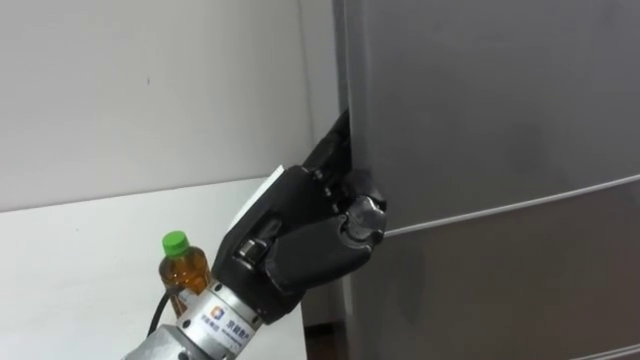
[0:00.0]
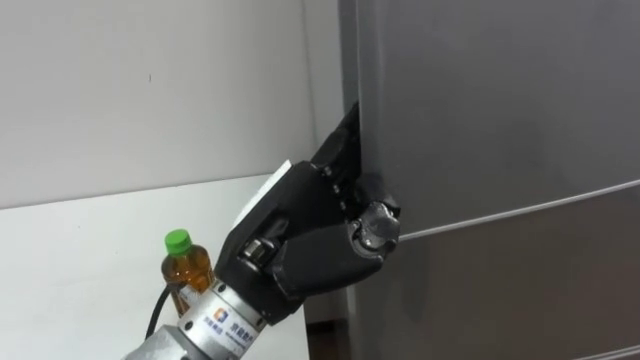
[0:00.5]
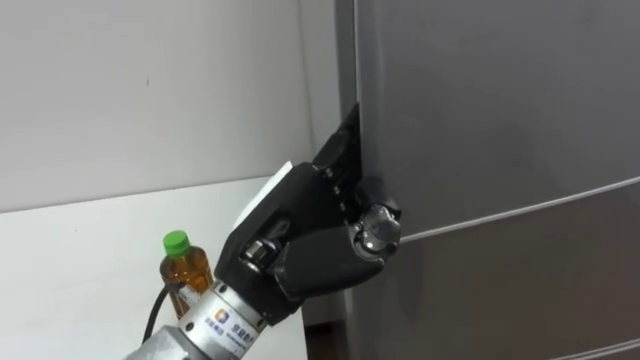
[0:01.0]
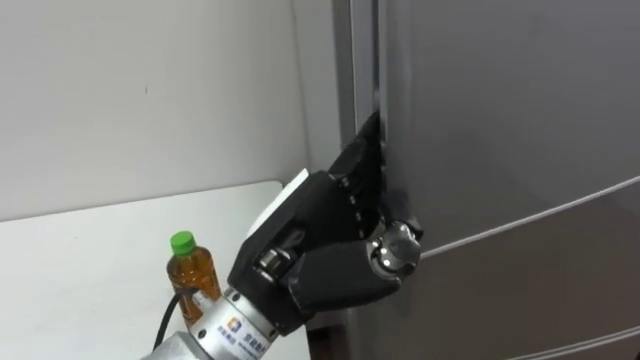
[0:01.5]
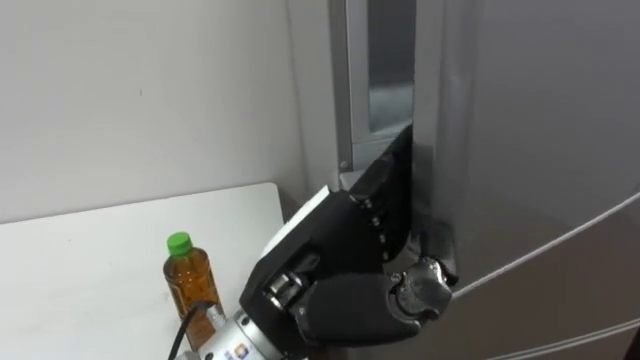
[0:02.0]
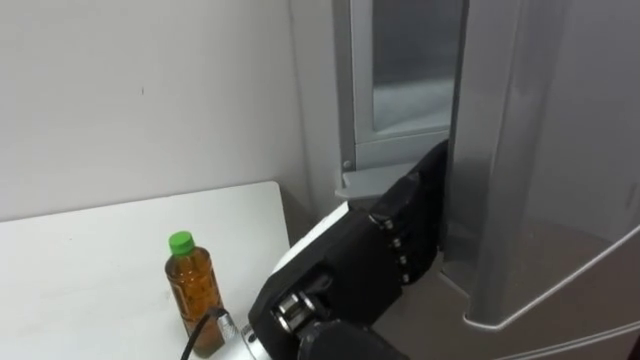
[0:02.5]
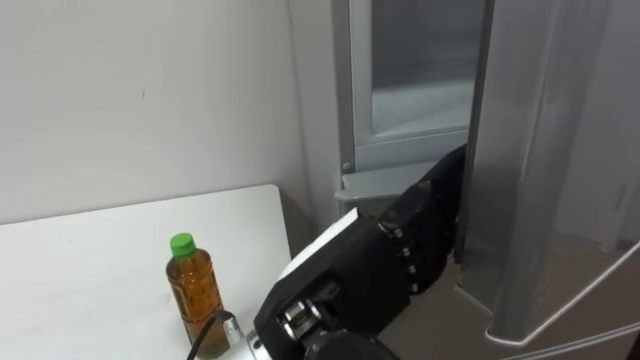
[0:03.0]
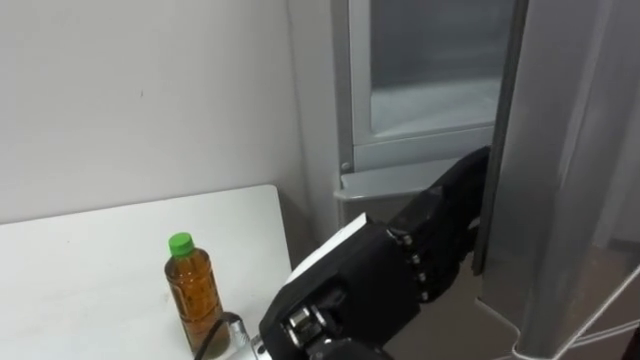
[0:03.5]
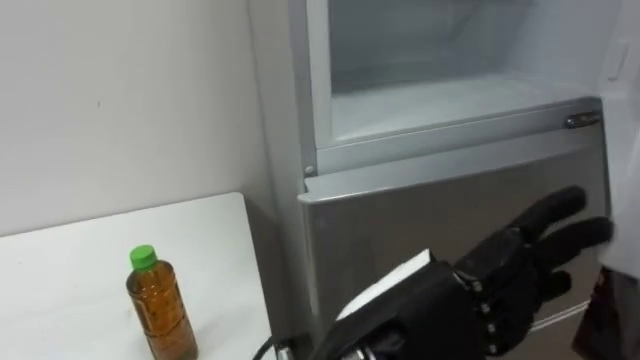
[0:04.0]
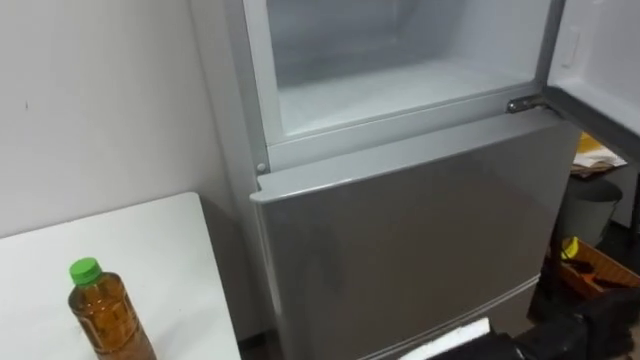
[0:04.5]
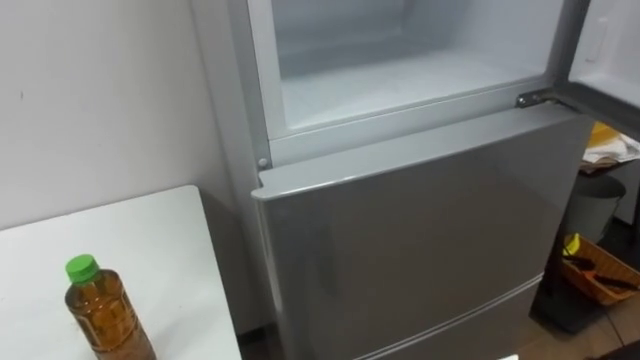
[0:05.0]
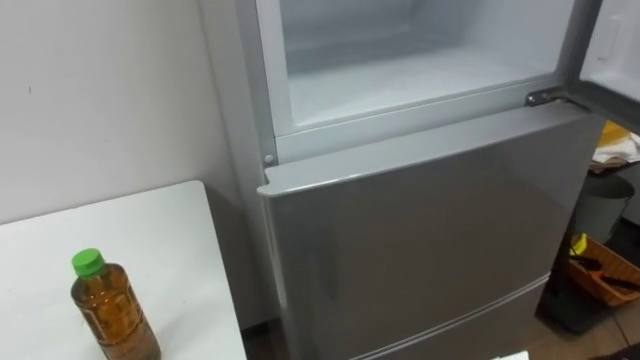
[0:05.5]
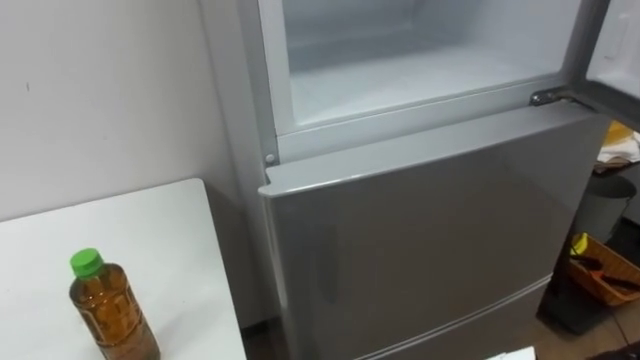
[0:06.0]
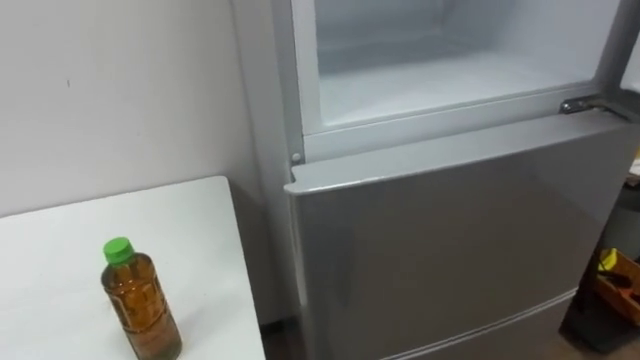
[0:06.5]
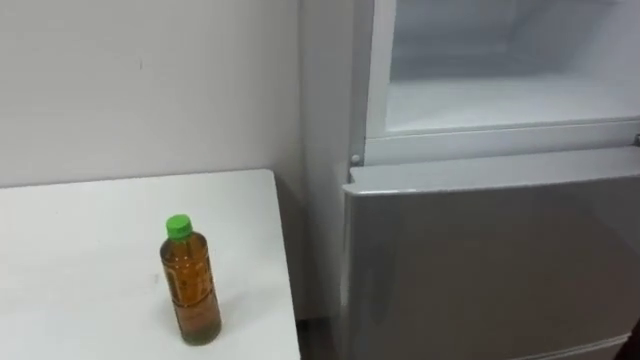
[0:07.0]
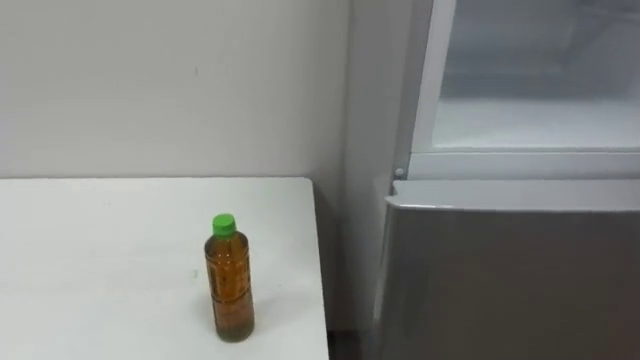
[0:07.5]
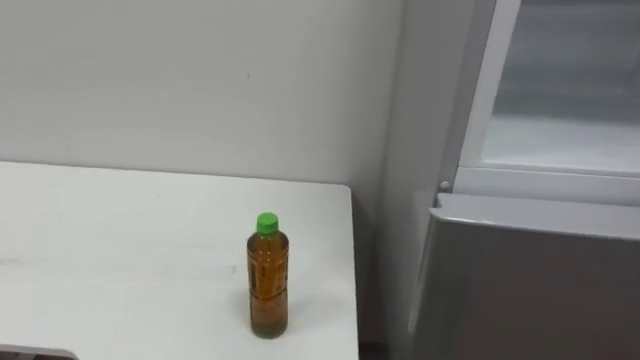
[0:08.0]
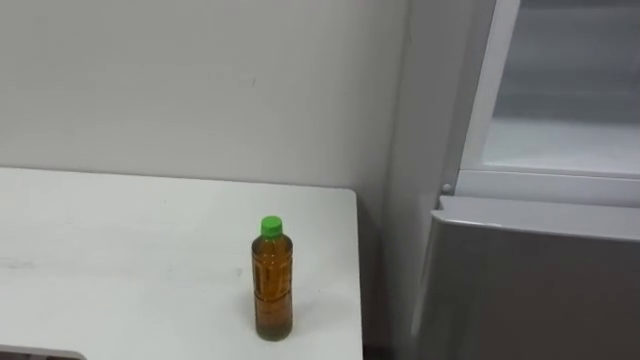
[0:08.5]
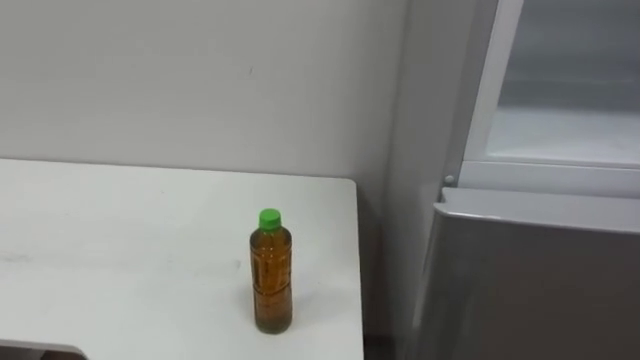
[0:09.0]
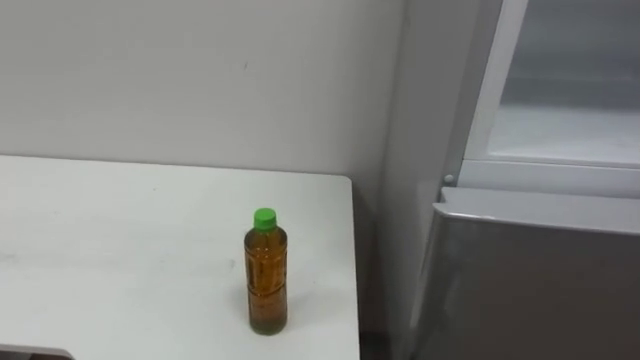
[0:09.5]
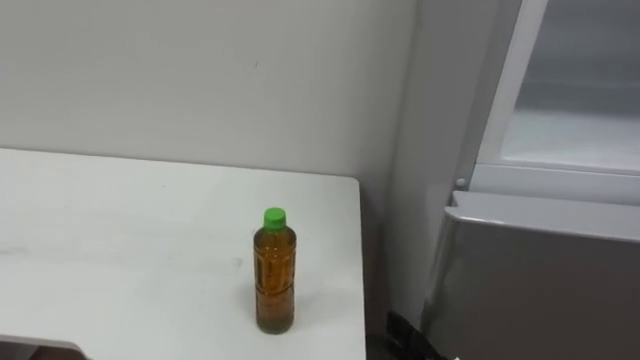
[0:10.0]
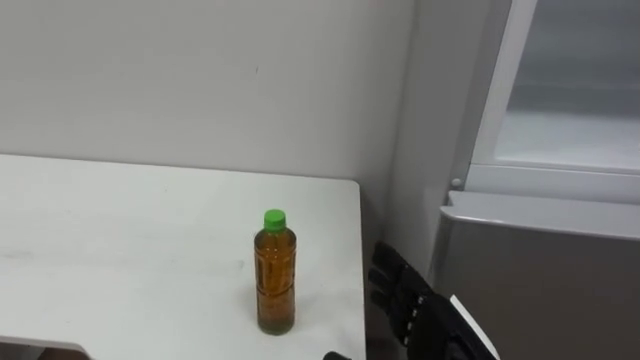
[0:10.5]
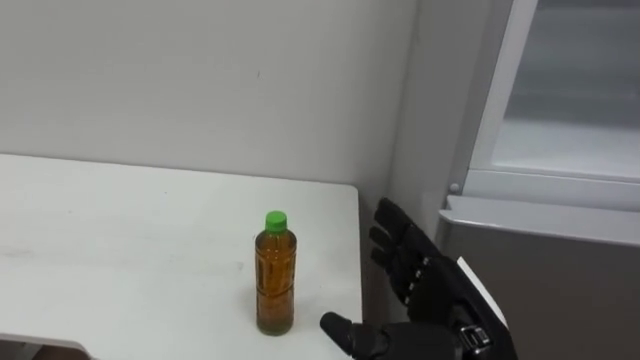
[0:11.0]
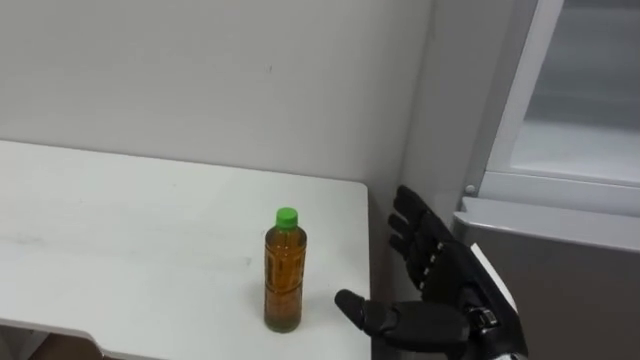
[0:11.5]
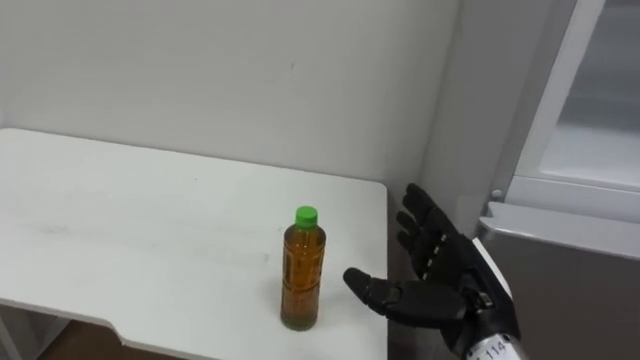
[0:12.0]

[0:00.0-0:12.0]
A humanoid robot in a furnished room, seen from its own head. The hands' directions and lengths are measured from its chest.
Task of the whole recording: Open the upper refrigerator door, put the drink from the table into the refrigerator, and then close the refrigerator door.
0:02.0 to 0:04.0: The left hand moves some 5 cm.

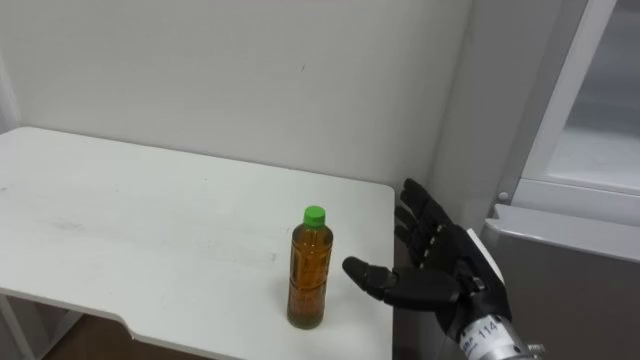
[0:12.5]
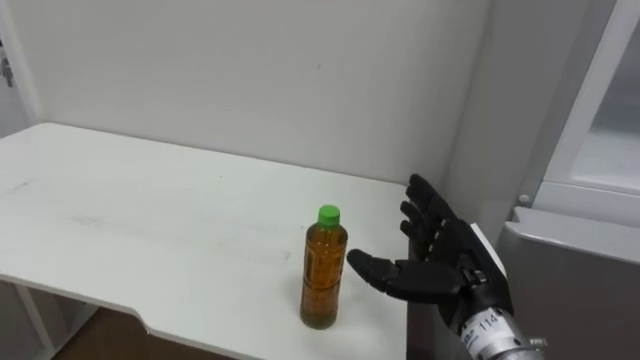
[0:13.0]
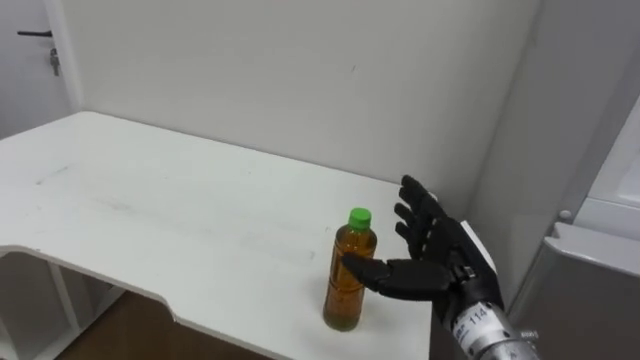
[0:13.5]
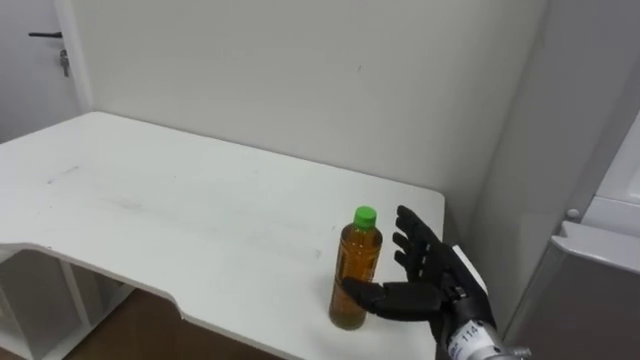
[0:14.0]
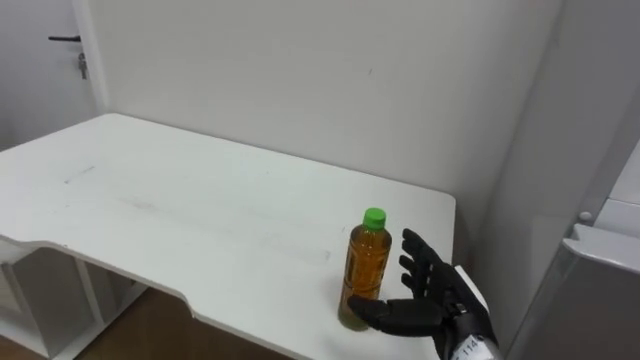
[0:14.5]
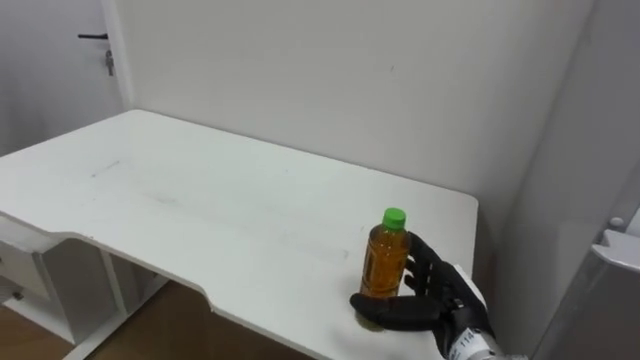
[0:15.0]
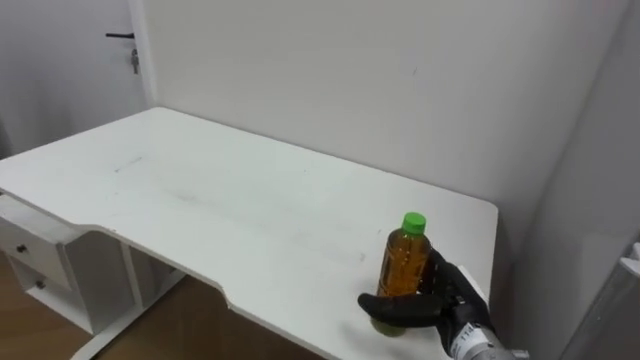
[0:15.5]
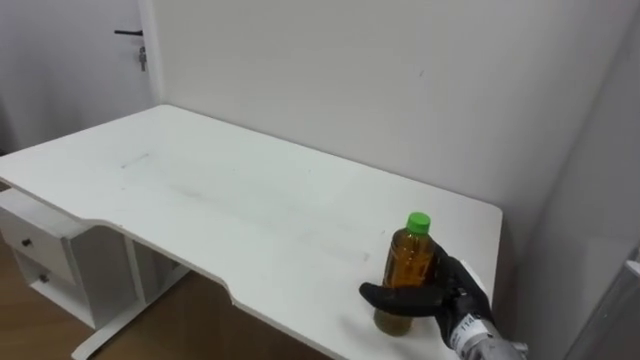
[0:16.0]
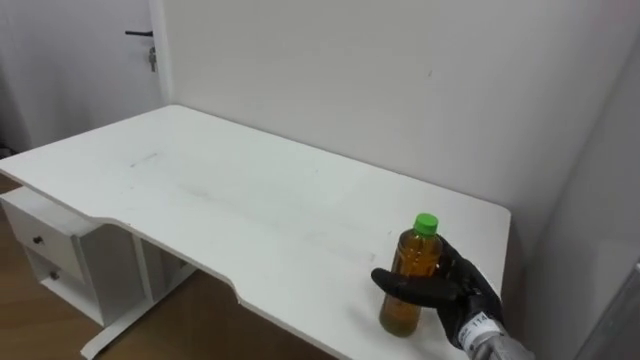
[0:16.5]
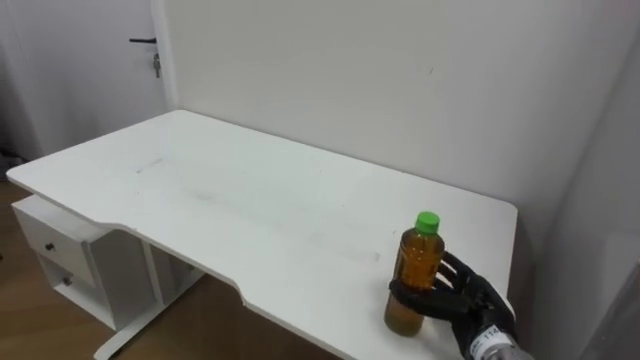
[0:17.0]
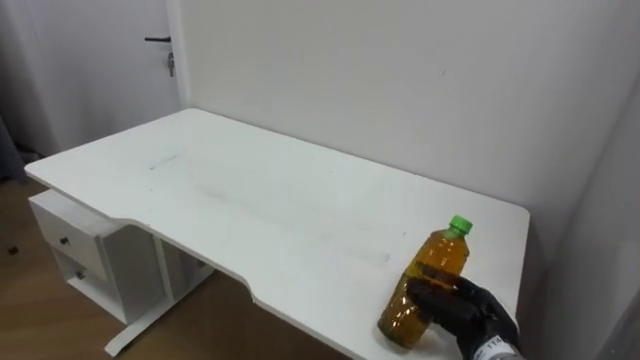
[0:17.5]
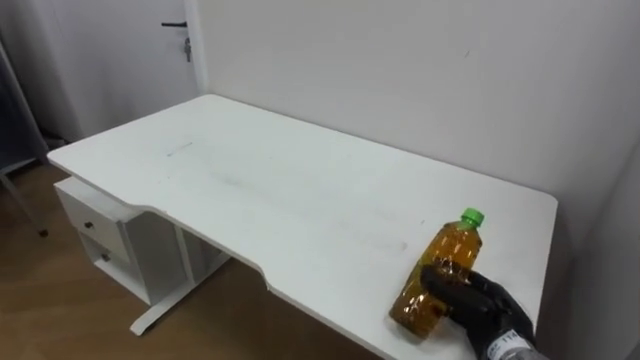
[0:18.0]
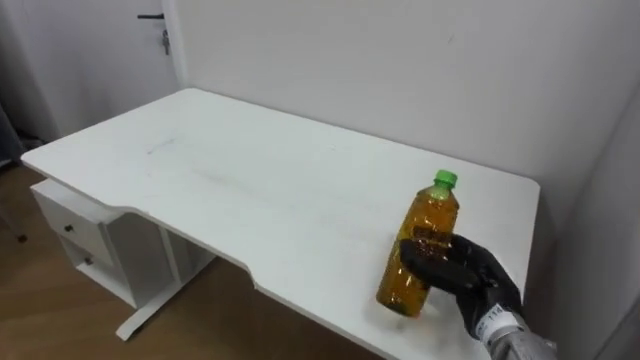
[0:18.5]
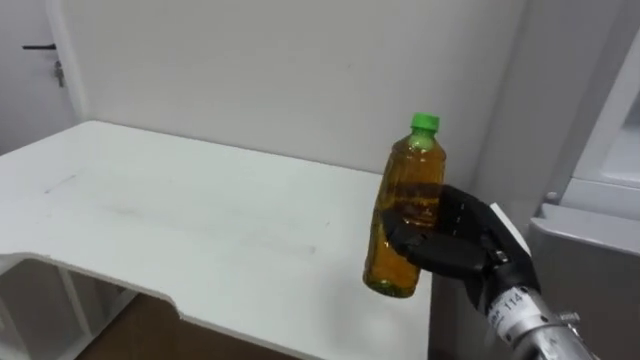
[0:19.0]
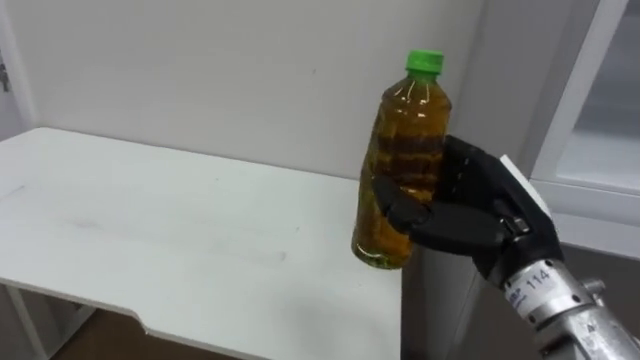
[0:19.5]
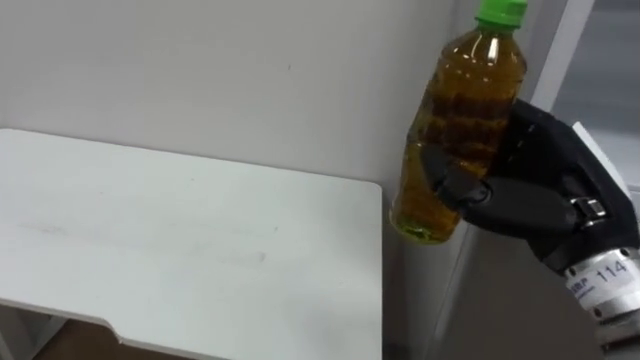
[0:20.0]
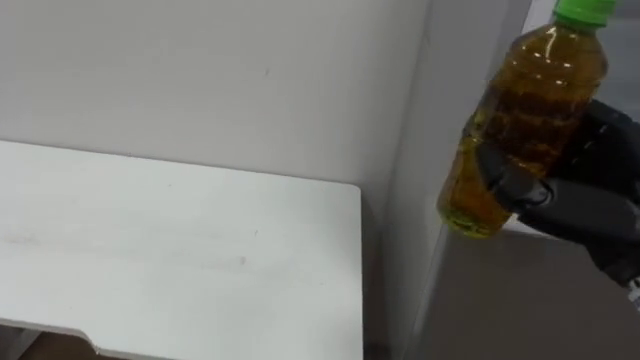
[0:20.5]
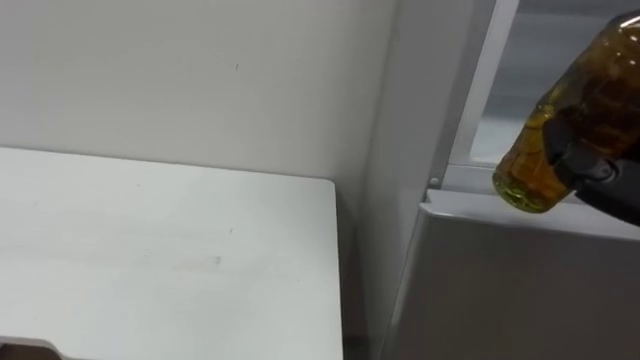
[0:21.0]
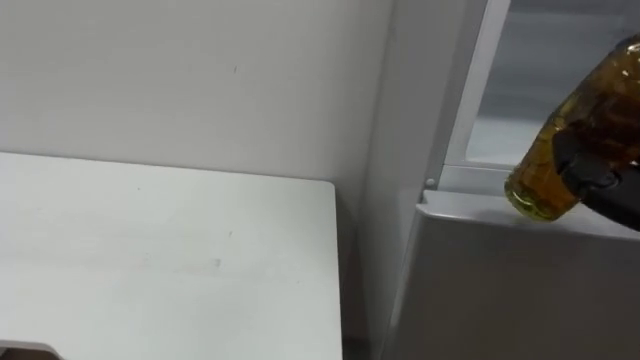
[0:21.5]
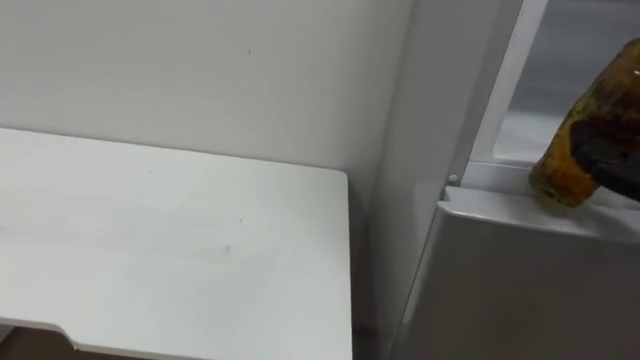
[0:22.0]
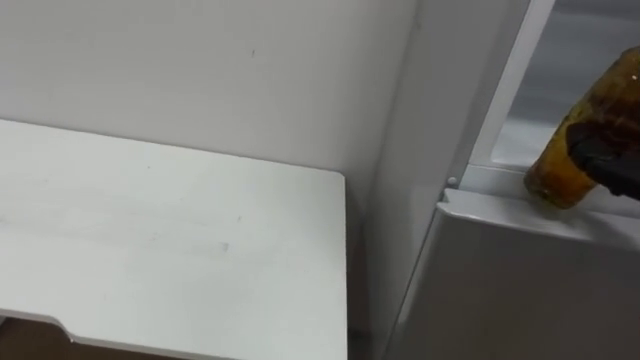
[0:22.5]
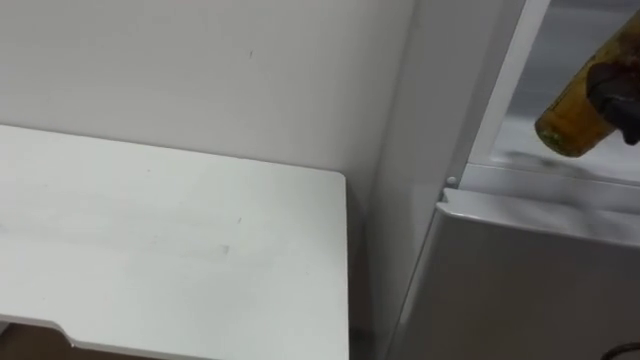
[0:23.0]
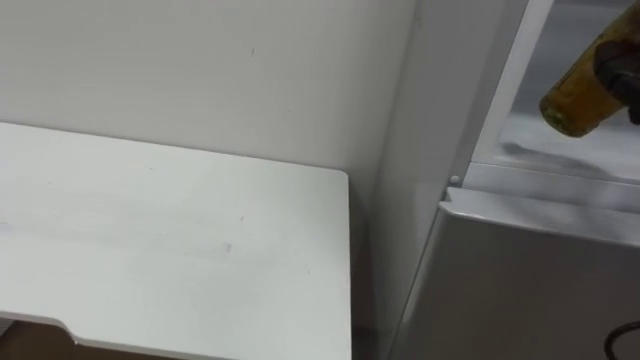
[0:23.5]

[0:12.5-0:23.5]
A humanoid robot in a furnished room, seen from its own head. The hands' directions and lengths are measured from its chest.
Task of the whole recording: Open the upper refrigerator door, put the drink from the table into the refrigerator, and then close the refrigerator door.
0:12.5 to 0:14.5: The right hand moves downward, some 5 cm.
0:16.0 to 0:18.0: The right hand travels to the right by about 5 cm, and closes its fingers.
0:18.0 to 0:20.0: The right hand moves upward, roughly 25 cm.
